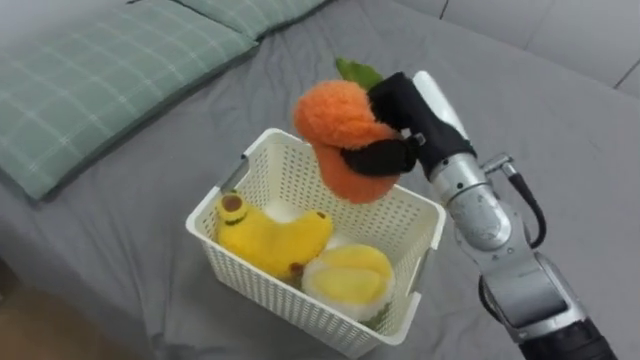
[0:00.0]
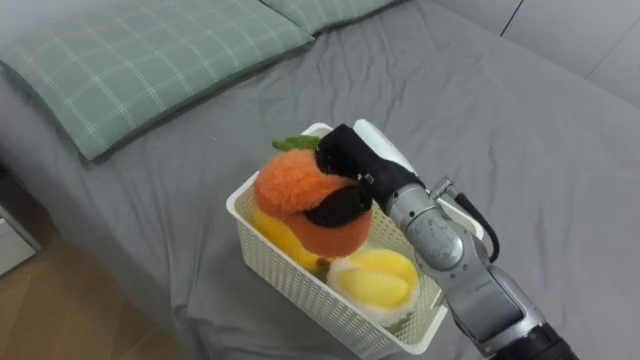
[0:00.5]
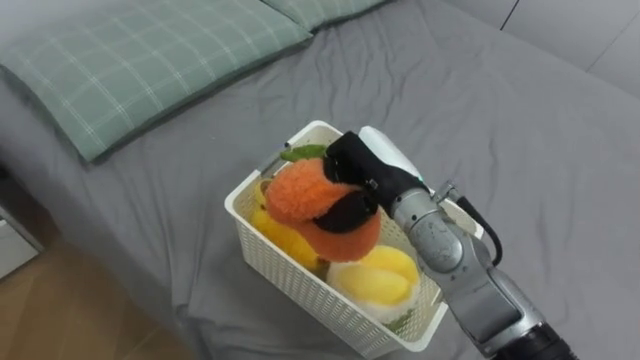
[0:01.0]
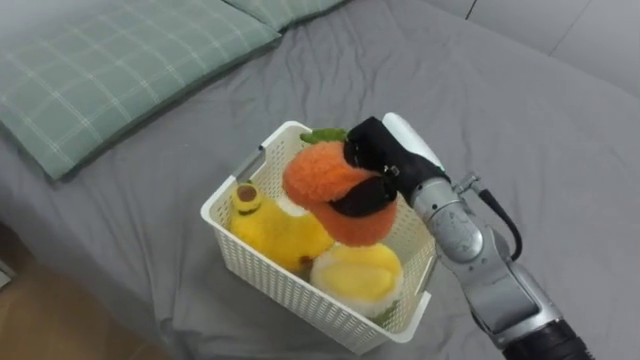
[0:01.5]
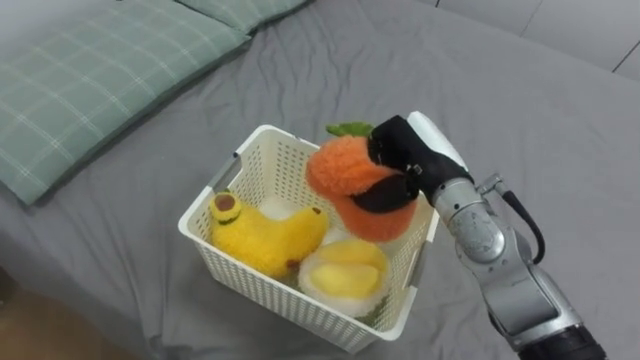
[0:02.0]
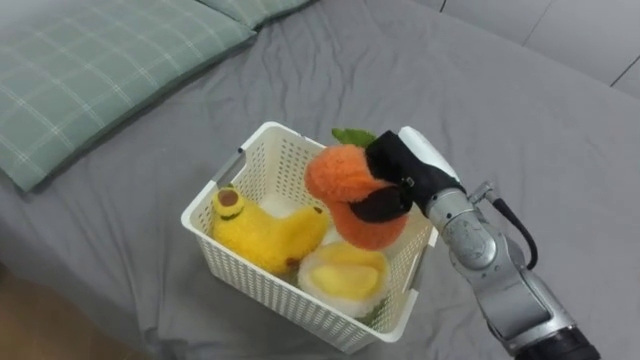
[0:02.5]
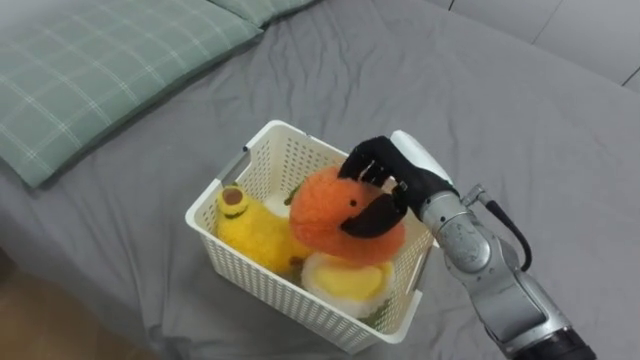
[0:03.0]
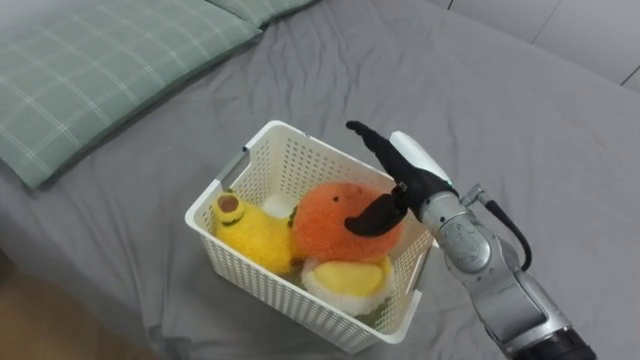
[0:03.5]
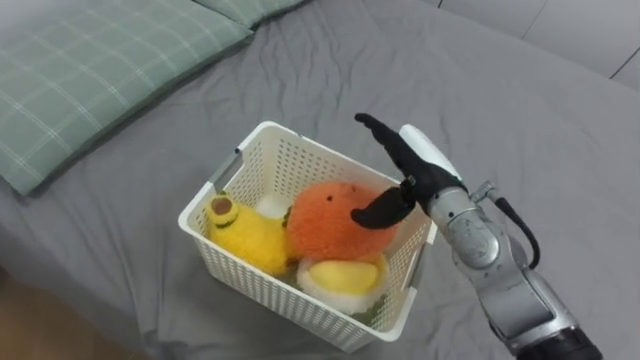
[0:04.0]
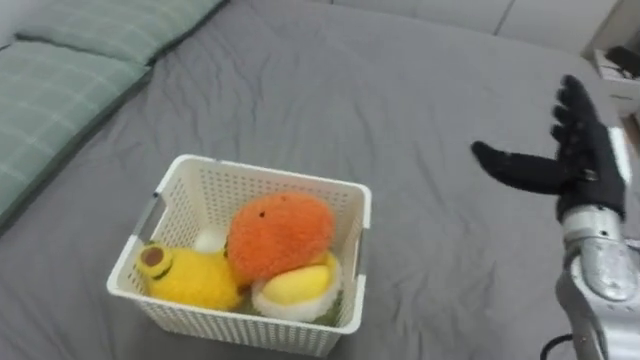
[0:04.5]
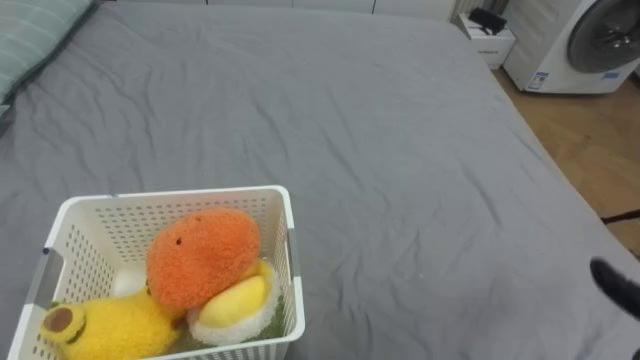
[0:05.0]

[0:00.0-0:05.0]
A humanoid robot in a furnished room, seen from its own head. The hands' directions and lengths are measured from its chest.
Task of the whole recording: Put the toys on the bed into the basket on the left.
0:00.0 to 0:02.5: The right hand is displaced downward by about 5 cm.

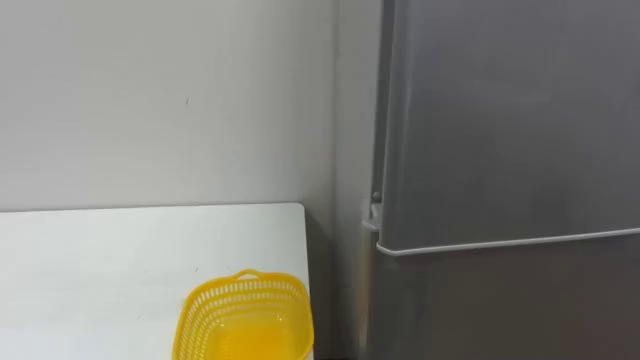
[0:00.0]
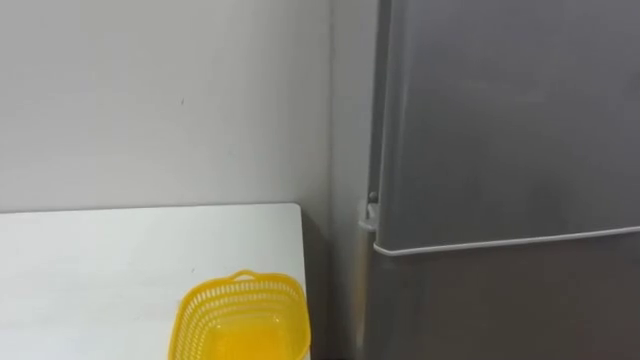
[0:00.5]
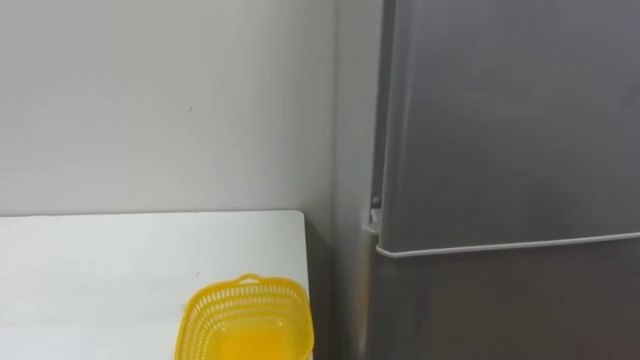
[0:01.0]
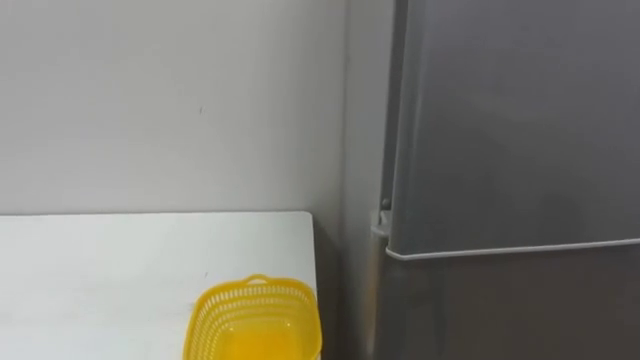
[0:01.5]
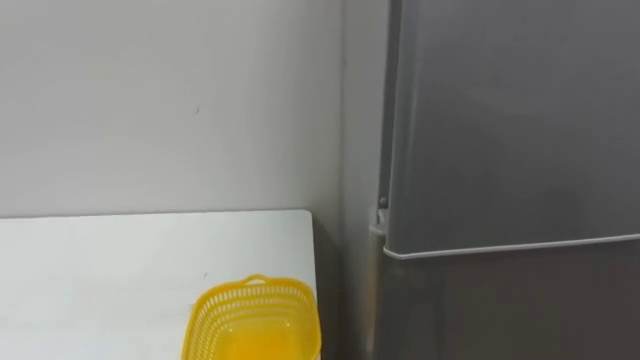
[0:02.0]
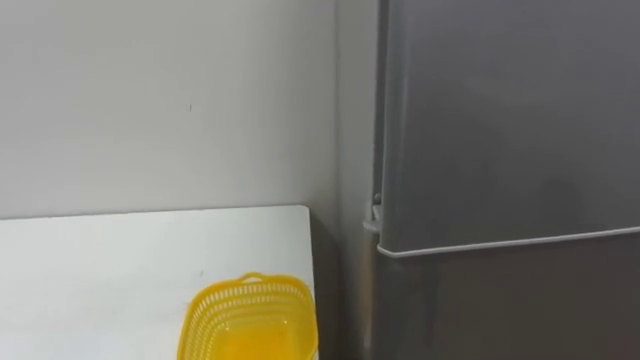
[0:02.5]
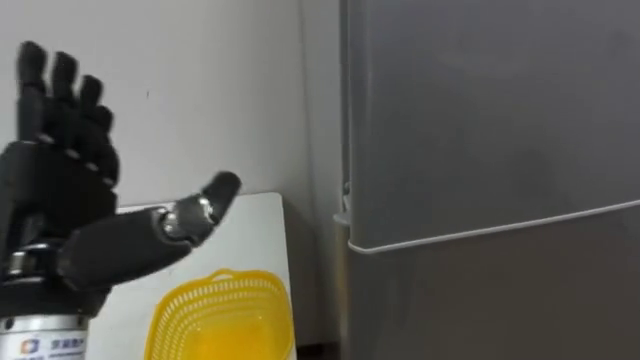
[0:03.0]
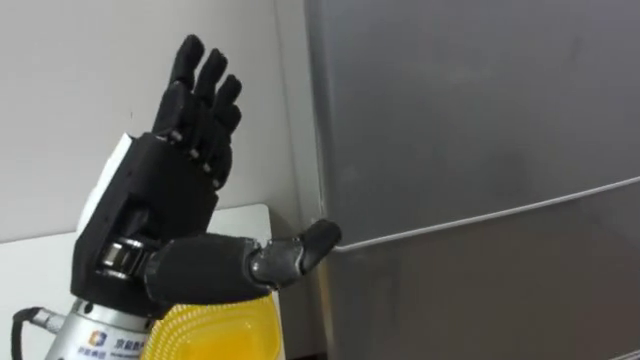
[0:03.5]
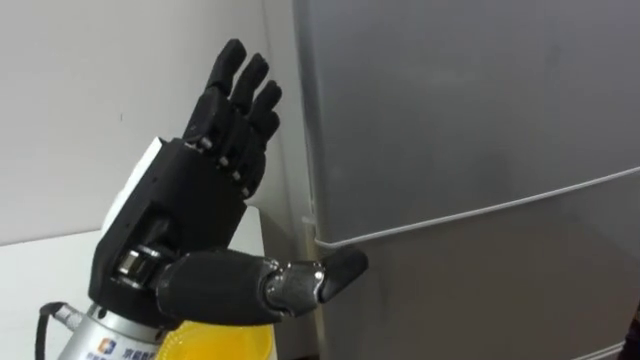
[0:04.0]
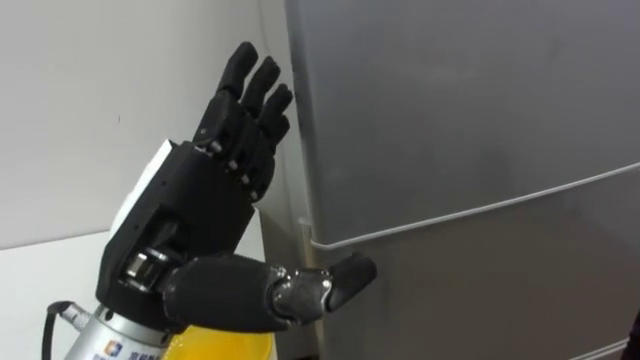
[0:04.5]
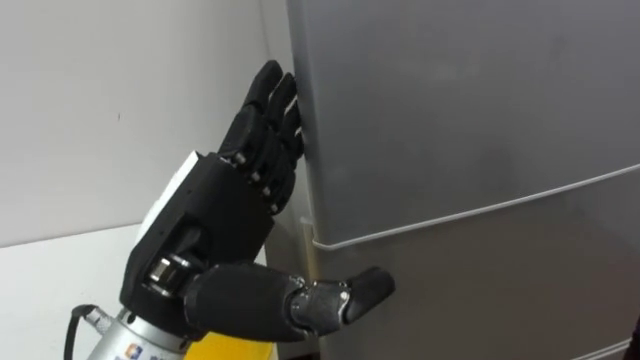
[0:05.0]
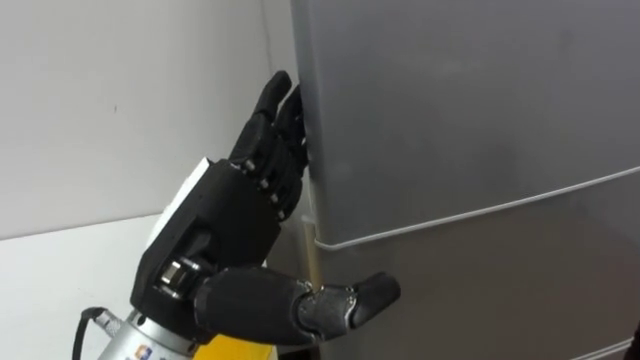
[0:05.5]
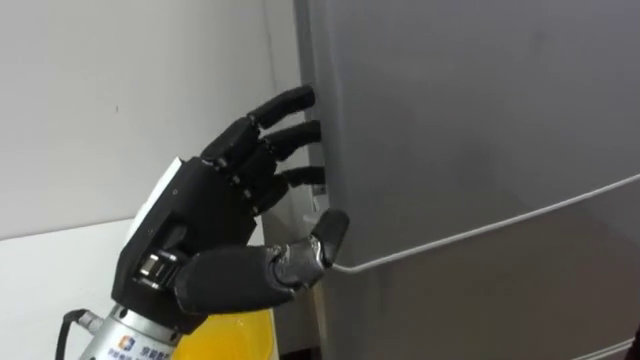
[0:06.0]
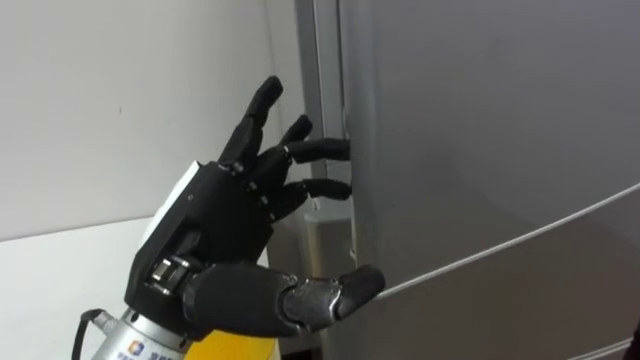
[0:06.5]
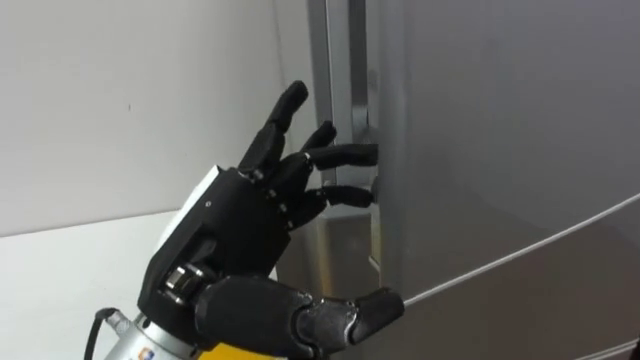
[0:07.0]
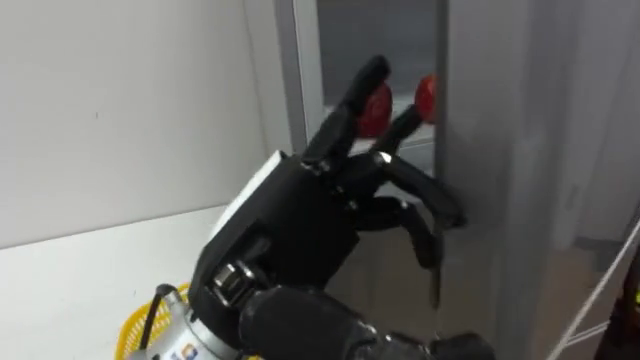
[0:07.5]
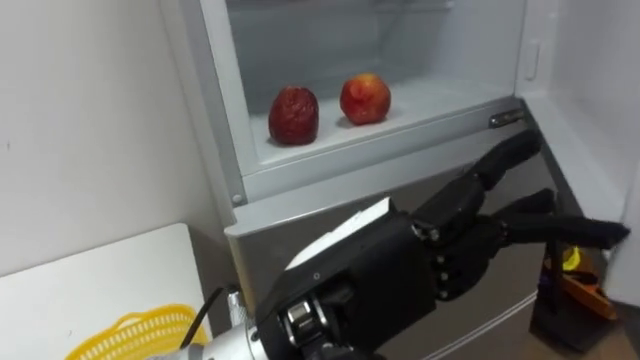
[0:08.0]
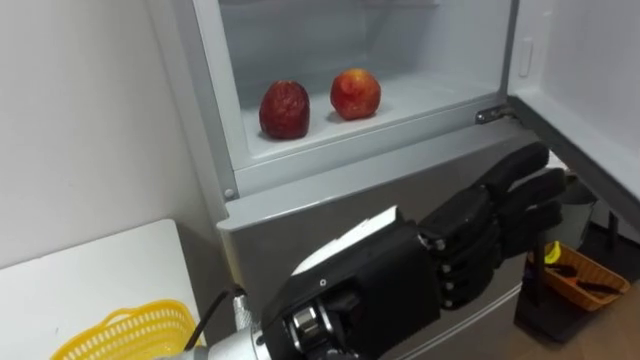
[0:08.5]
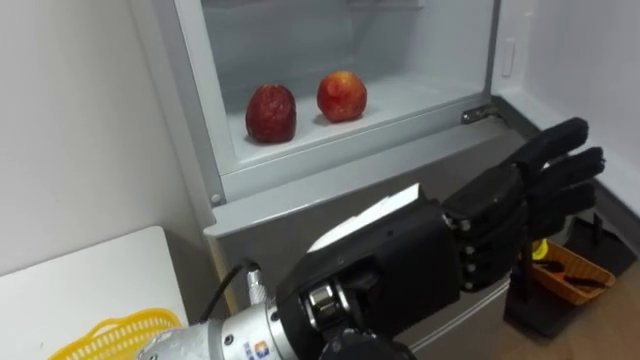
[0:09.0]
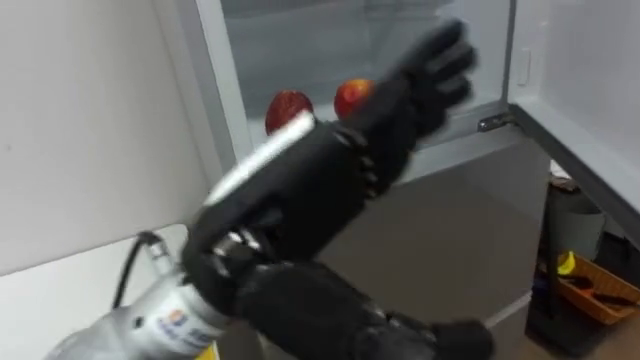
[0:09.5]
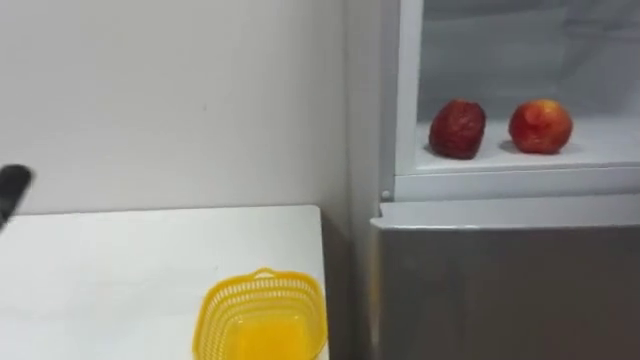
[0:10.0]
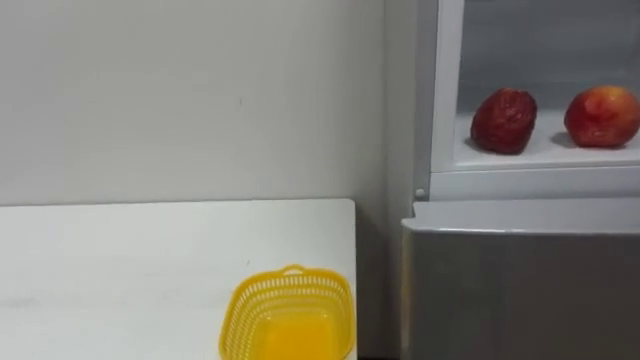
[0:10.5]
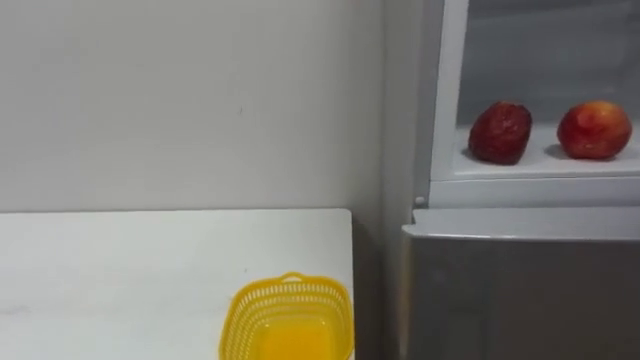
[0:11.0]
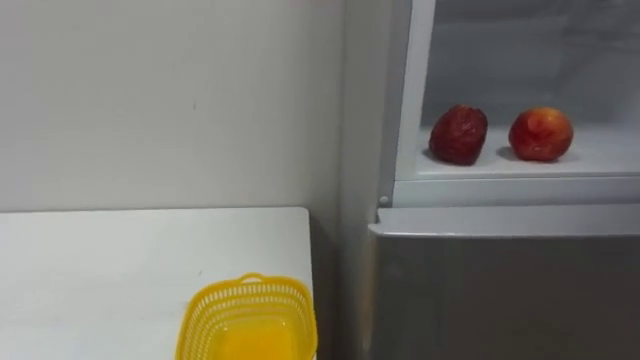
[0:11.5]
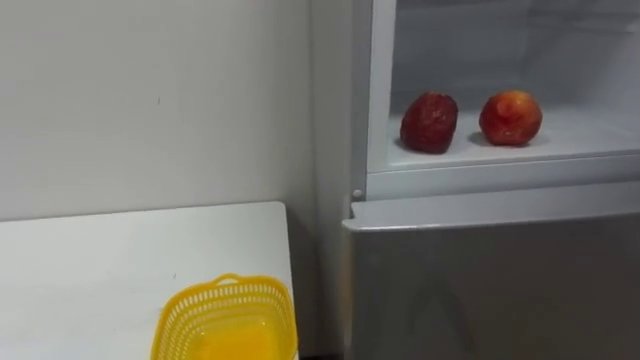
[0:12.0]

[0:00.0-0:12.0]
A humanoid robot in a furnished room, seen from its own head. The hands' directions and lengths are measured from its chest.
Task of the whole recording: Open the refrigerator door, take out the apple and the pomegranate, place them in the fruit basket on the left, and close the refrigerator door.
0:06.0 to 0:08.0: The left hand shifts about 10 cm to the right and backward.

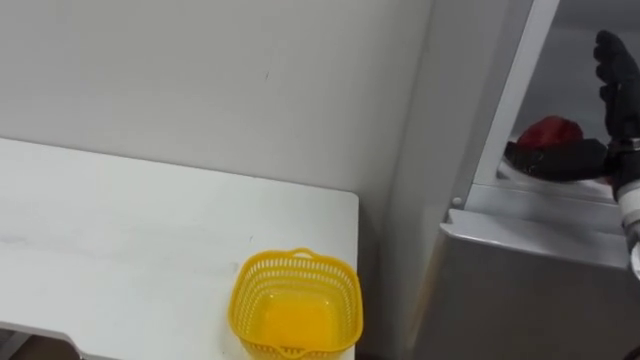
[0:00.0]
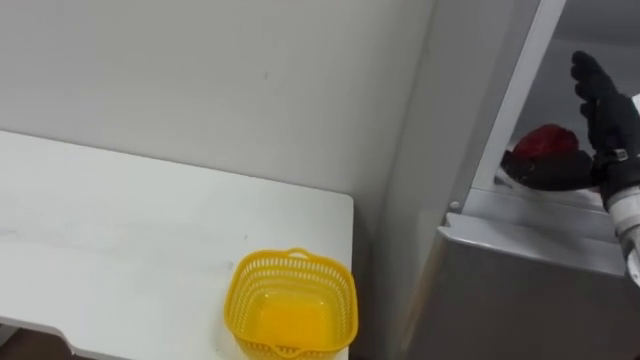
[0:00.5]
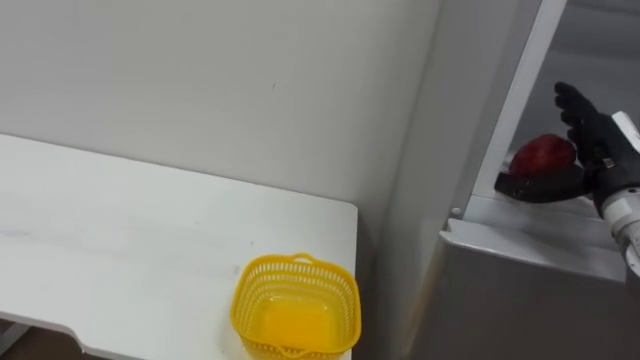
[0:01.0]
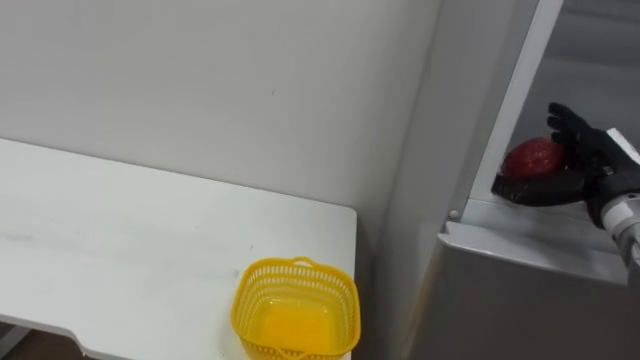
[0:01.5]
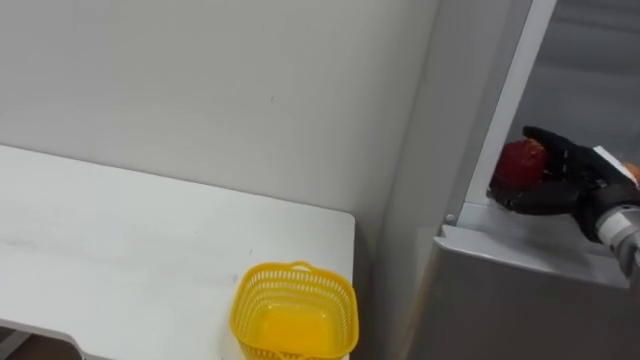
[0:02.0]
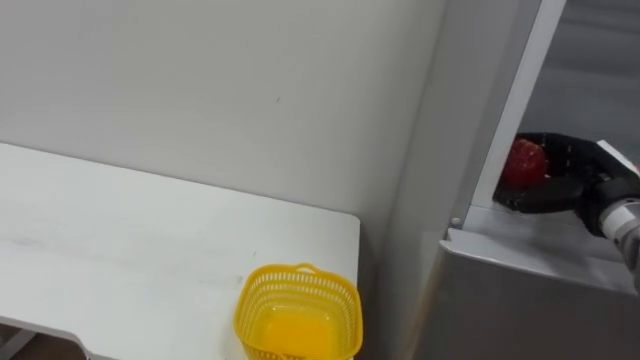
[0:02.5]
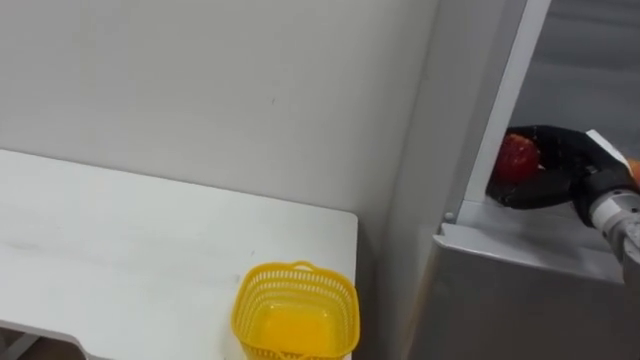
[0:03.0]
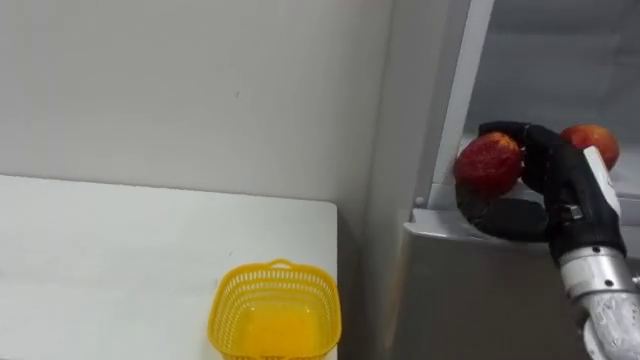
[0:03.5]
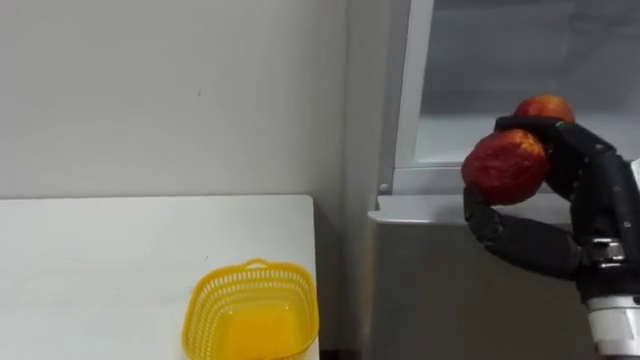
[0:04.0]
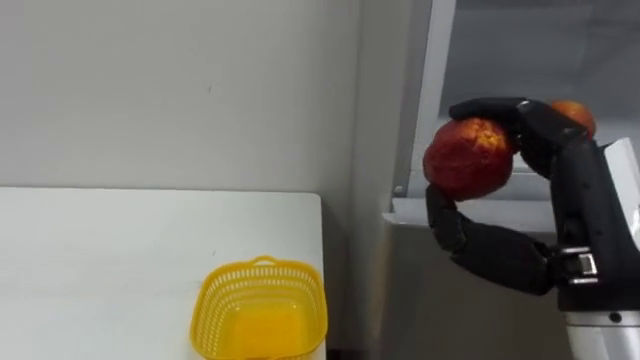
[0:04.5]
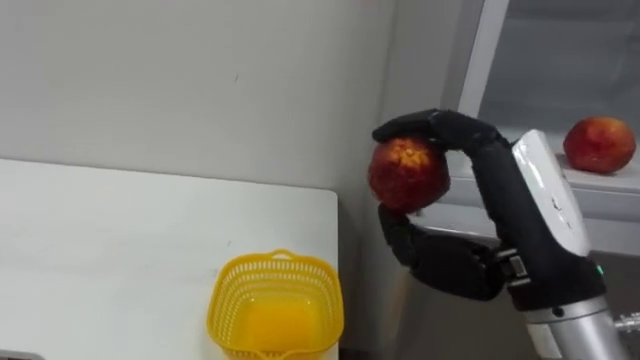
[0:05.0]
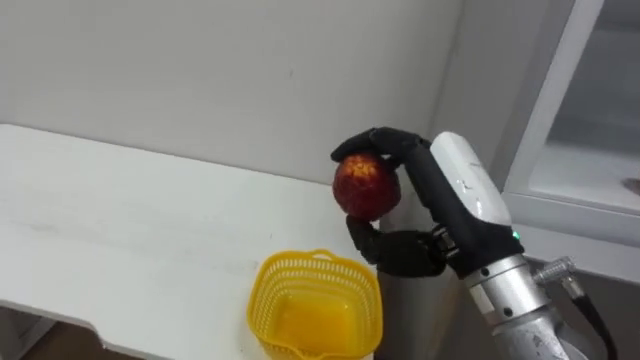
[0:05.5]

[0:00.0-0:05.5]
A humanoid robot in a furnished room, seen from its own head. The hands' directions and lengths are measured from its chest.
Task of the whole recording: Open the refrigerator door, take out the apple and the pomegranate, place them in the fruit basket on the left, and close the refrigerator door.
0:00.0 to 0:02.0: The right hand heads downward, covering roughly 10 cm.
0:02.0 to 0:03.5: The right hand shifts roughly 10 cm backward and to the left.
0:03.5 to 0:05.5: The right hand travels to the left by roughly 15 cm.
